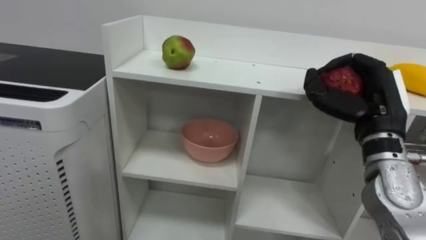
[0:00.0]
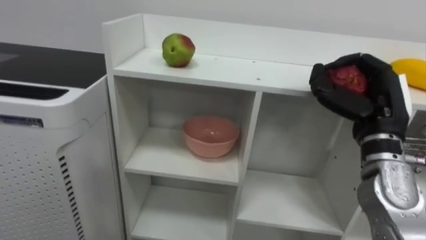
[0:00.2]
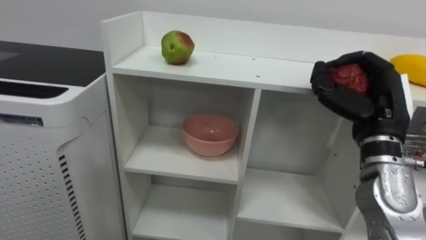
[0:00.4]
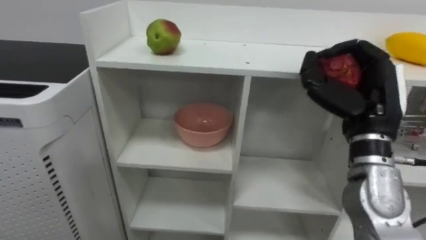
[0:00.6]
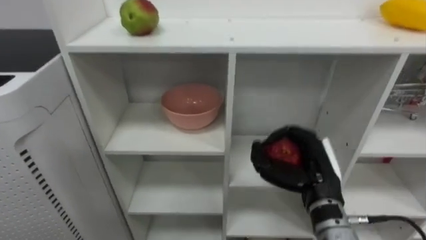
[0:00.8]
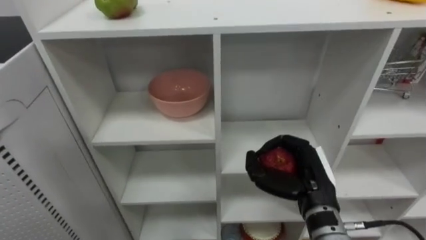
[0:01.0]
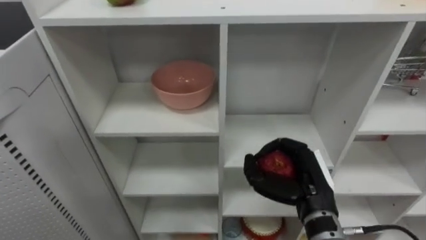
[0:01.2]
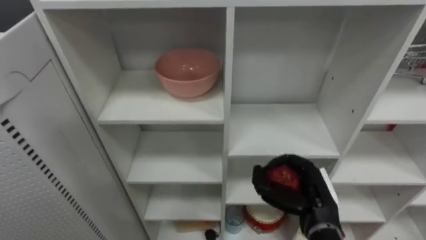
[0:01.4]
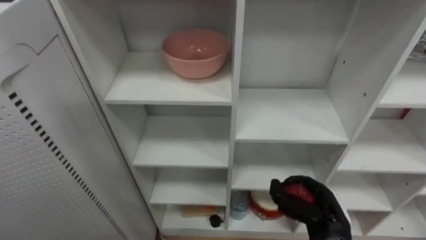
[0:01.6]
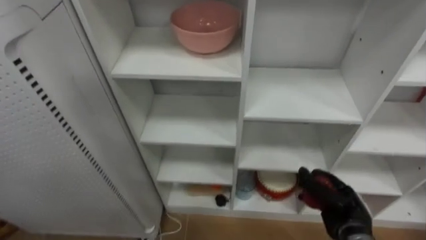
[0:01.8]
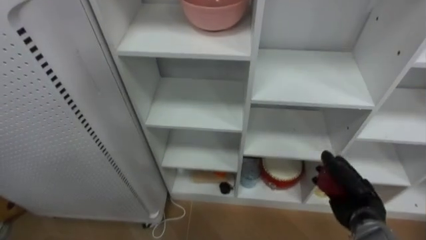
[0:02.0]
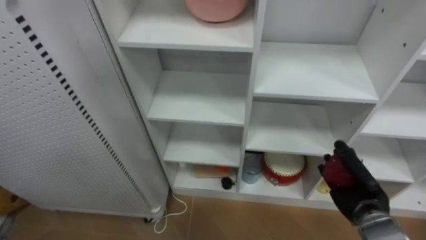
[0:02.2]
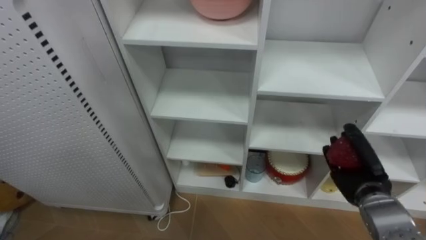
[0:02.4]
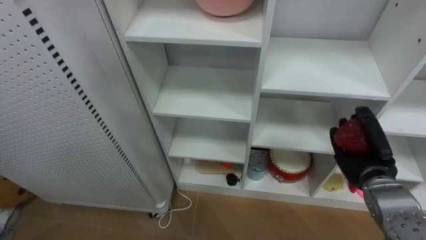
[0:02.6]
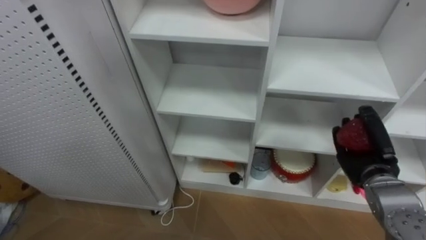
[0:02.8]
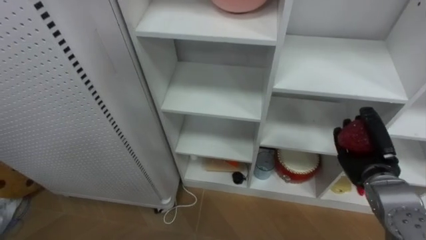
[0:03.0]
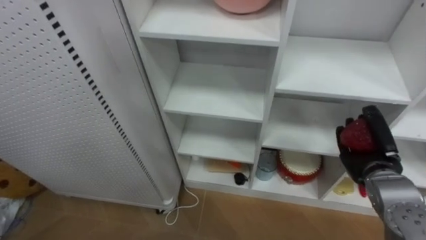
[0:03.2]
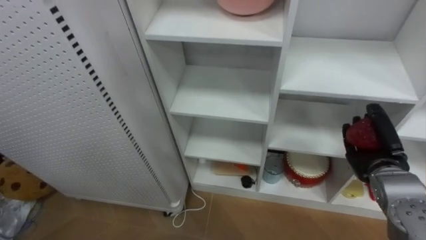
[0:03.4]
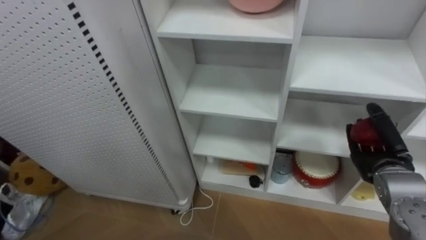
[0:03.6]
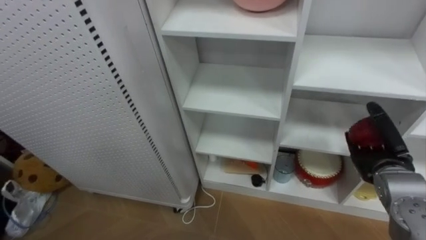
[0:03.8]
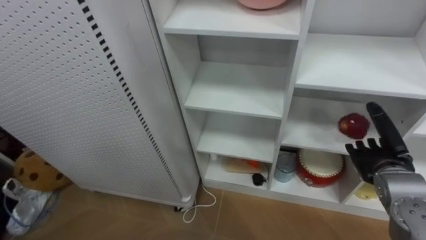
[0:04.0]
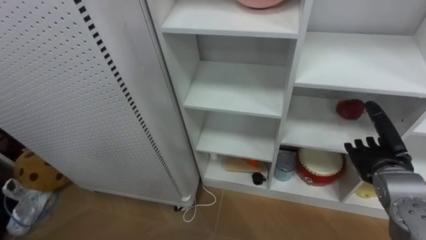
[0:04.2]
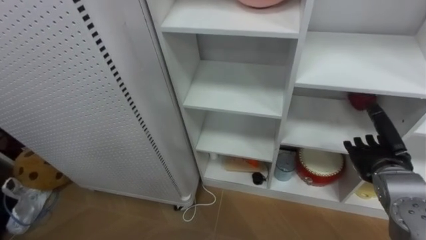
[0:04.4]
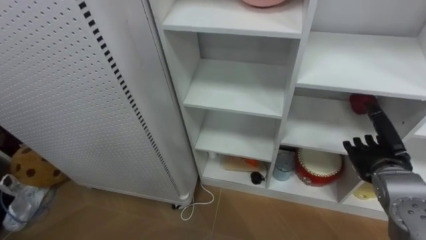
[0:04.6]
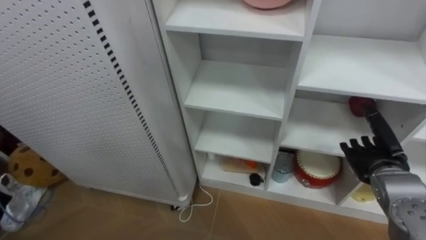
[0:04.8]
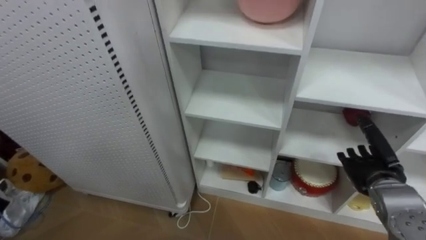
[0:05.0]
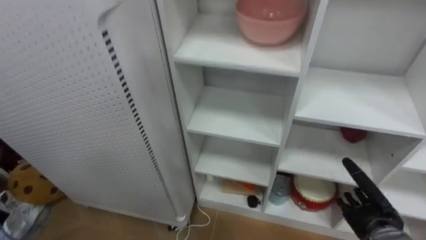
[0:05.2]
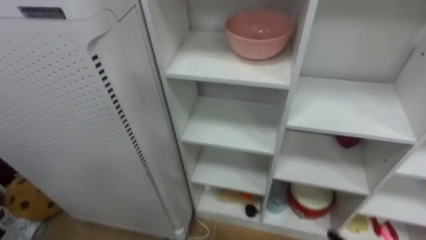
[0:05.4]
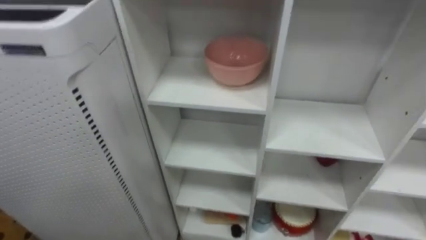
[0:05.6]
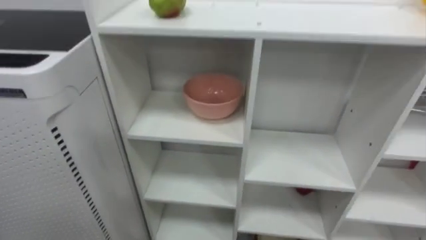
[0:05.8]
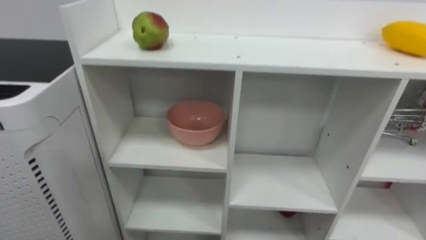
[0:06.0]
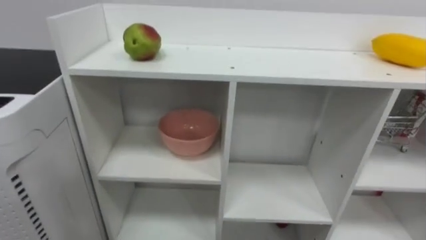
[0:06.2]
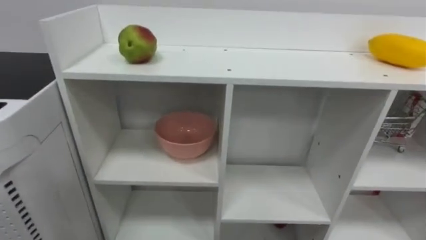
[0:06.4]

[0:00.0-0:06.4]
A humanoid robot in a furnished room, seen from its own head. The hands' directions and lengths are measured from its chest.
Task of the whole recording: Put the apple in the cell in the second column from the left and the second row from the top.
0:00.0 to 0:01.6: The right hand goes approximately 20 cm downward.
0:01.6 to 0:03.2: The right hand is displaced to the right, forward and upward by about 15 cm.
0:03.2 to 0:04.8: The right hand opens up.

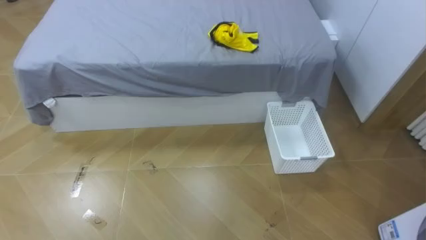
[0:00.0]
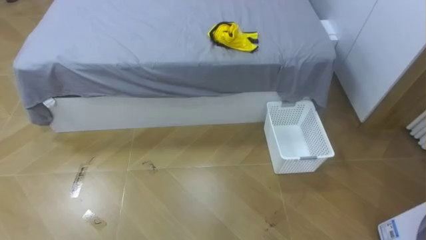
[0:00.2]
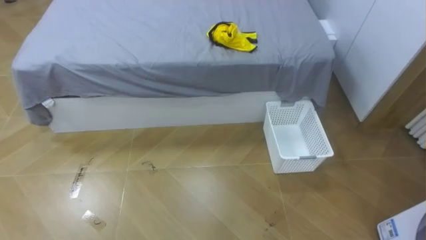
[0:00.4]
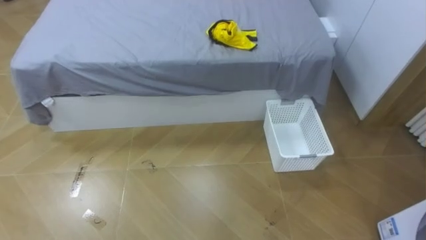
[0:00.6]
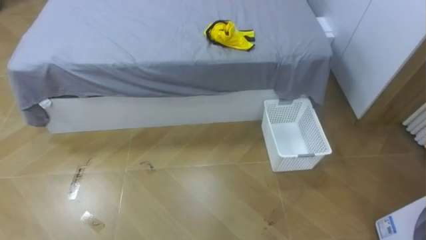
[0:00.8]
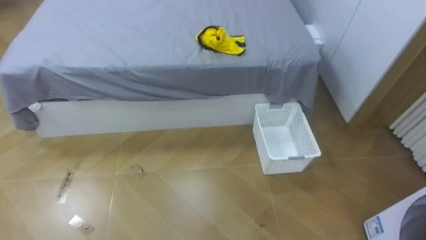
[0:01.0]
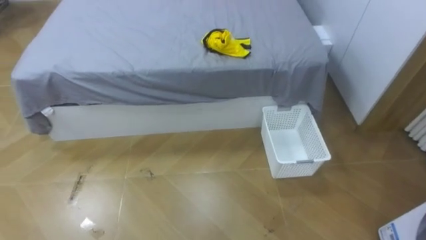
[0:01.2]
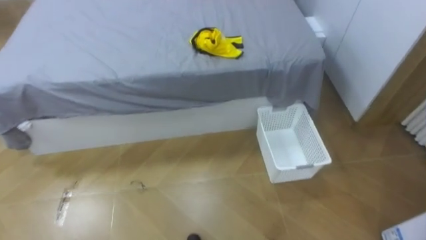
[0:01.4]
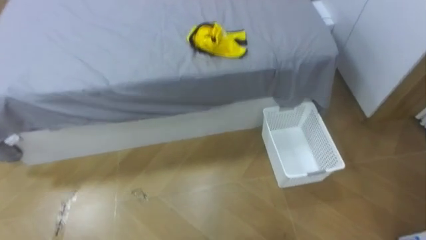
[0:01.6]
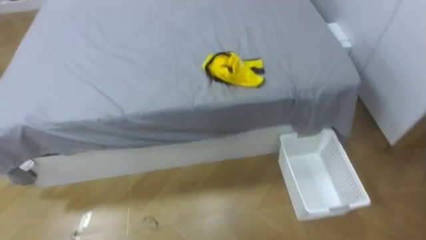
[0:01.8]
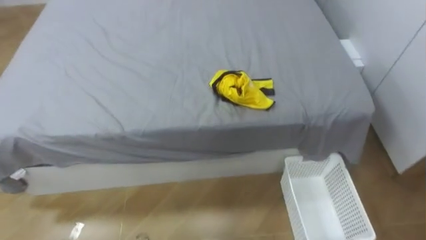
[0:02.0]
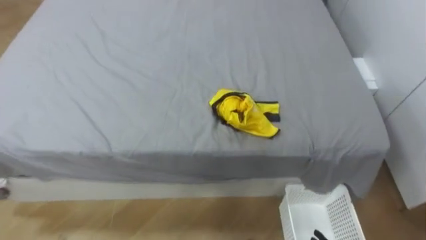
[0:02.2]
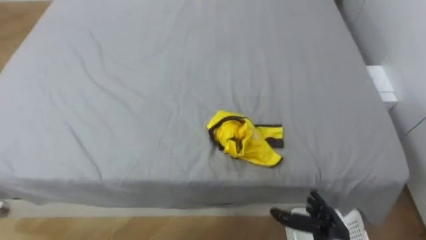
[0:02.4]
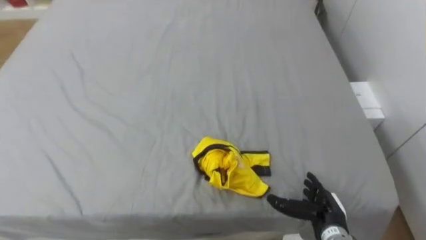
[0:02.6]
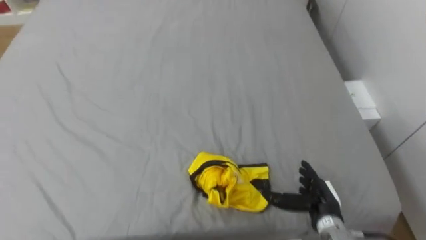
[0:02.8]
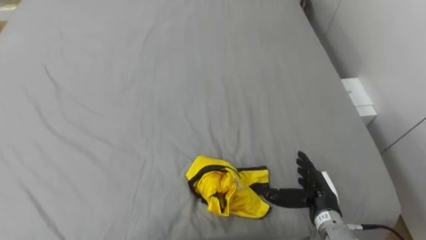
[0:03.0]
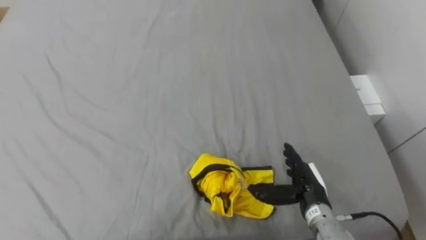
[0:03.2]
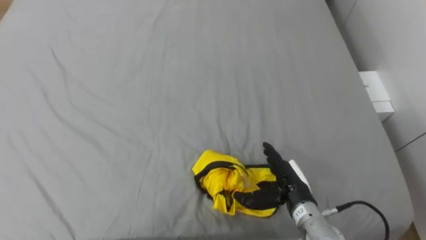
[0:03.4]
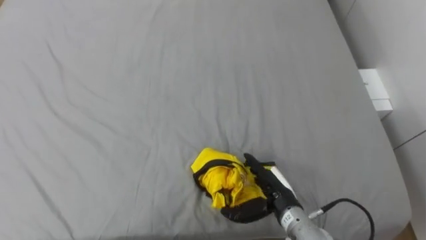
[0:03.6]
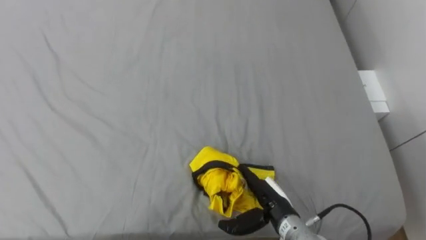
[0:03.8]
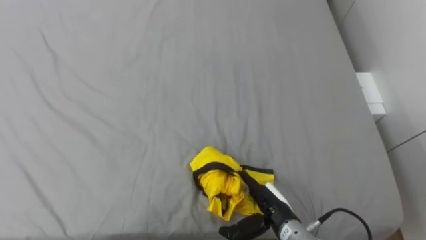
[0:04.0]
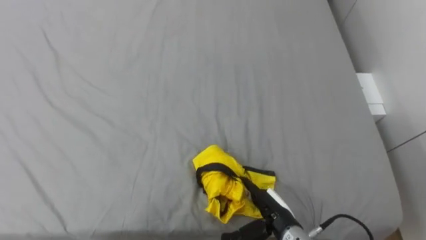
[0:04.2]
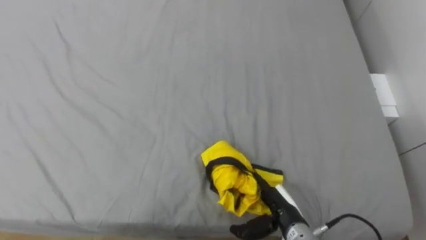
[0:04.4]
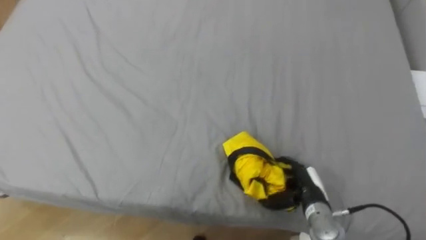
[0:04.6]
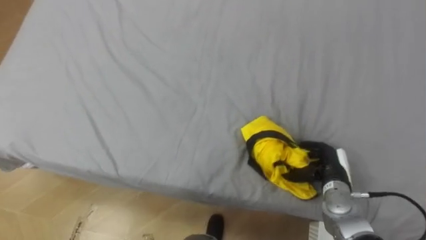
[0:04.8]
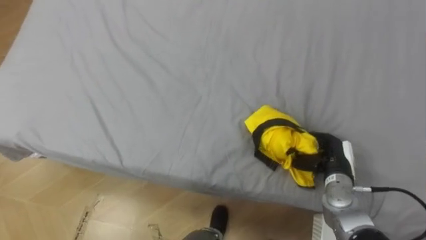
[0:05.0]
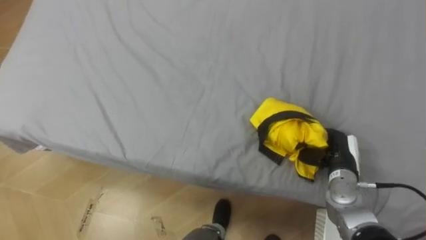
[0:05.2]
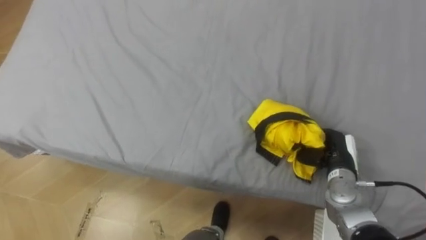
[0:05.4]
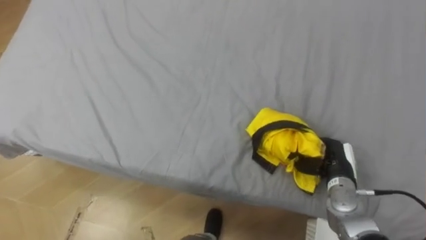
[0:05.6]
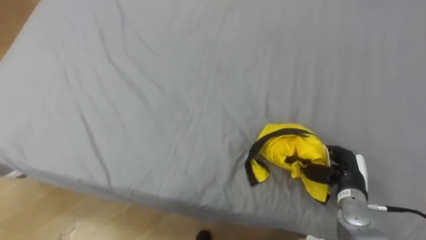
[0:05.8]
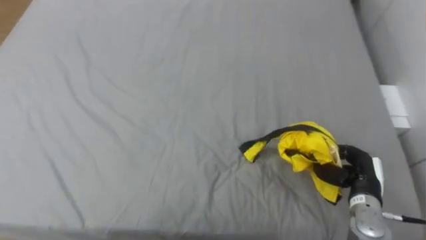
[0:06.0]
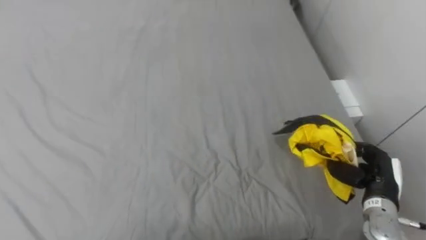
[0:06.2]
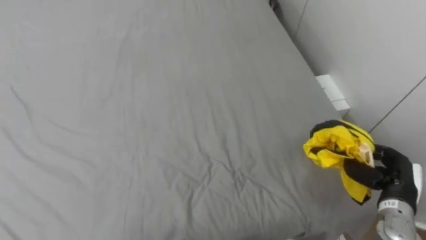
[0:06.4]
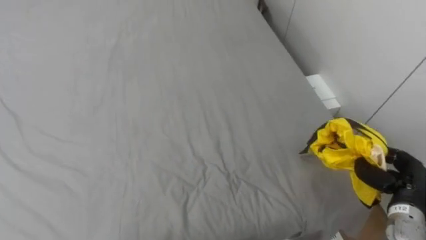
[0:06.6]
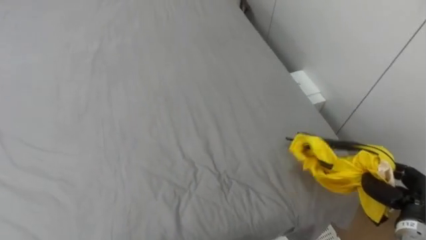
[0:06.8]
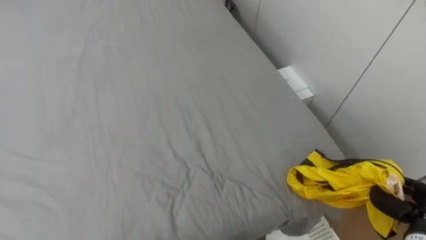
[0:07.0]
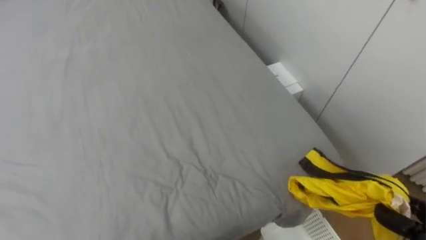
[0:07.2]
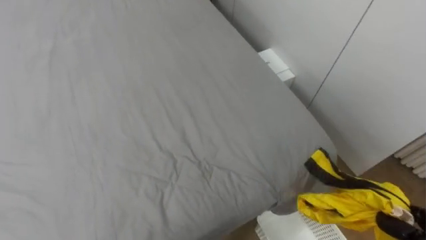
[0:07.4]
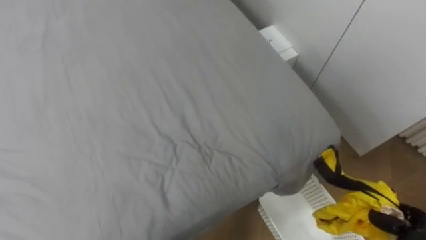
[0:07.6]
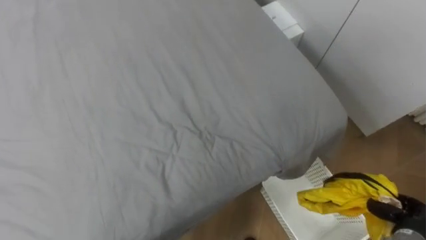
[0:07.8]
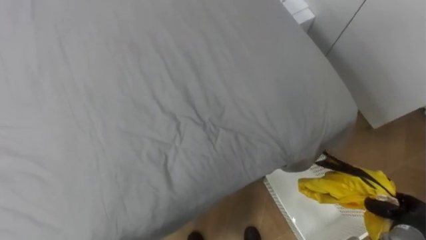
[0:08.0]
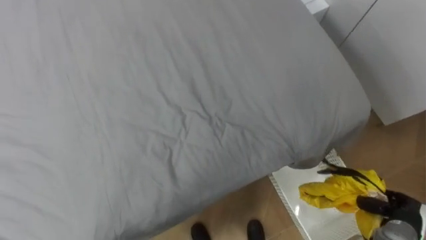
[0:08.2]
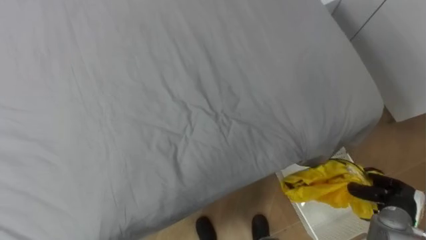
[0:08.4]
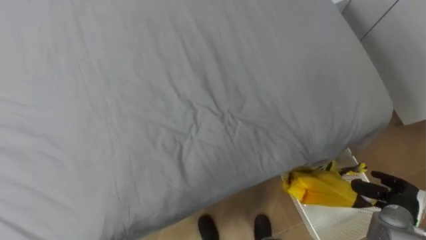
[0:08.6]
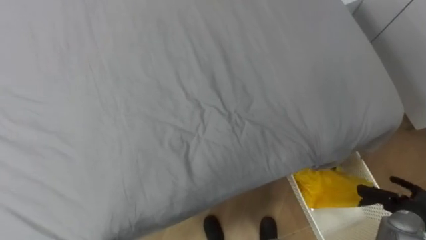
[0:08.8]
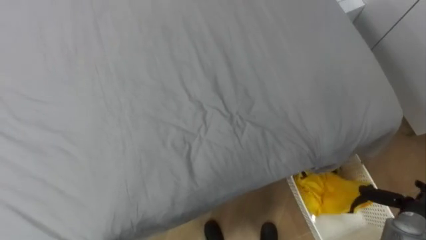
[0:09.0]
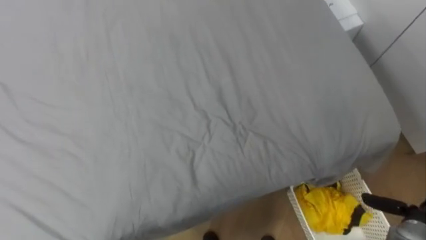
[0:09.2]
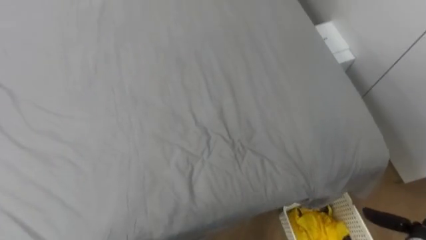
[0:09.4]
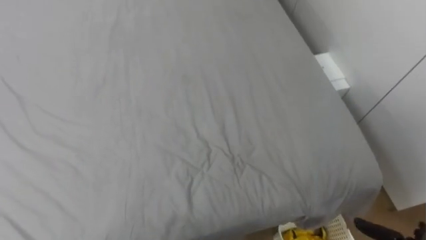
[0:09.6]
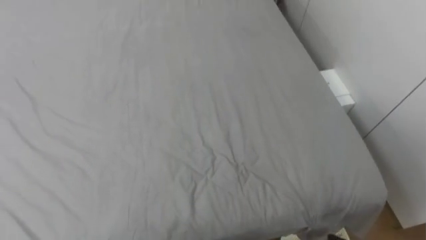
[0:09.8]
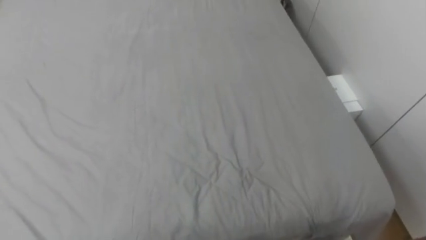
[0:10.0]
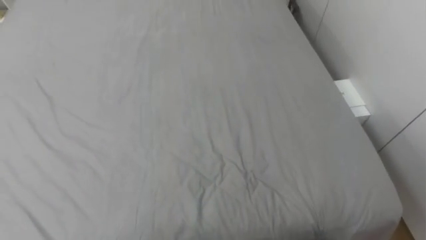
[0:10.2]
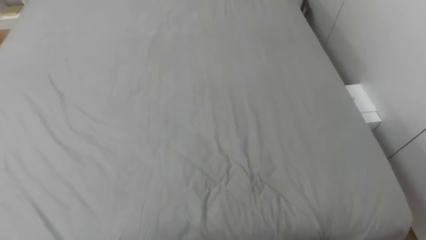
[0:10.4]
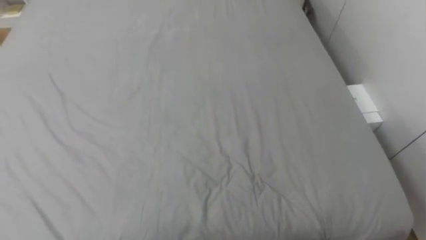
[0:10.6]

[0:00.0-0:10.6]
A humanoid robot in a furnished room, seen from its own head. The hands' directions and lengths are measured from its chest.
Task of the whole recording: Pick up the yellow clothes on the bed and place them into the white basket on the right.
0:04.6 to 0:06.0: The right hand is displaced to the right by about 10 cm, and closes up.
